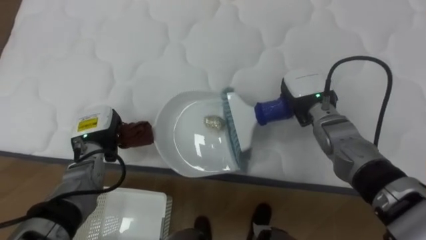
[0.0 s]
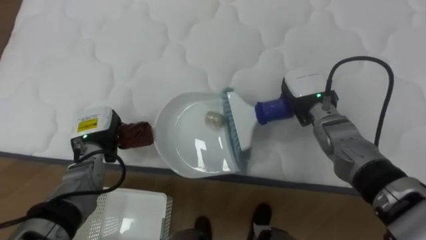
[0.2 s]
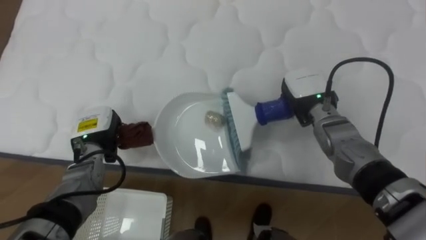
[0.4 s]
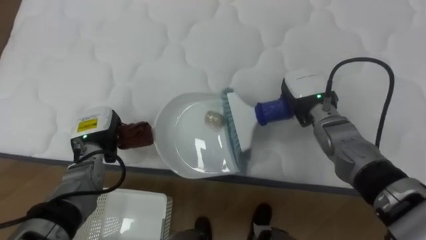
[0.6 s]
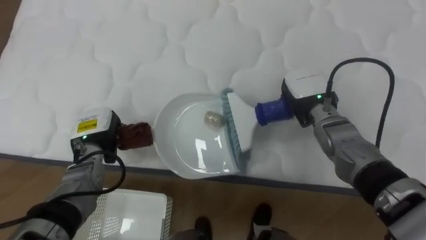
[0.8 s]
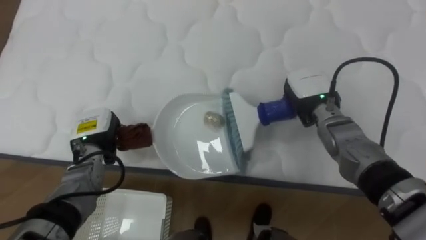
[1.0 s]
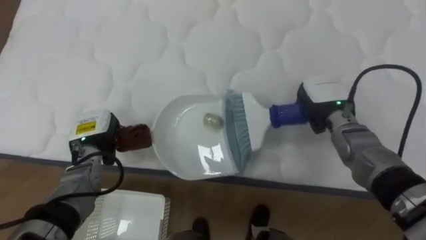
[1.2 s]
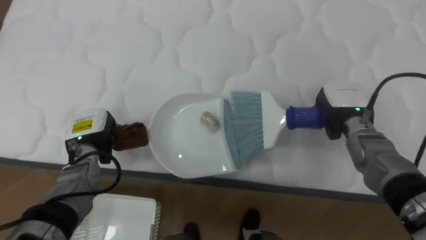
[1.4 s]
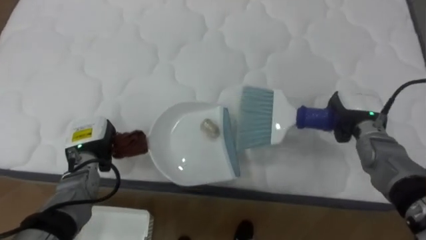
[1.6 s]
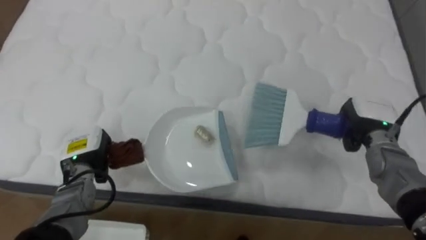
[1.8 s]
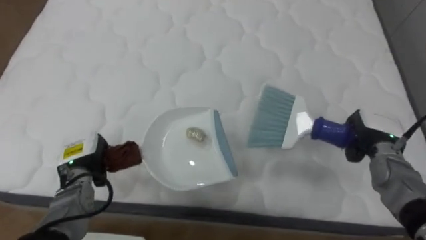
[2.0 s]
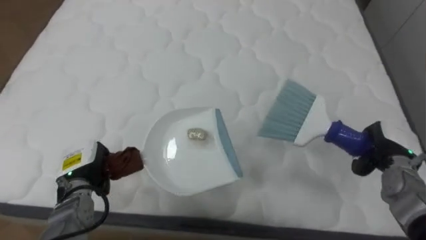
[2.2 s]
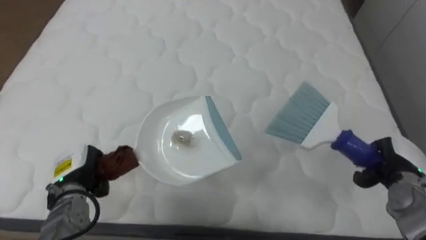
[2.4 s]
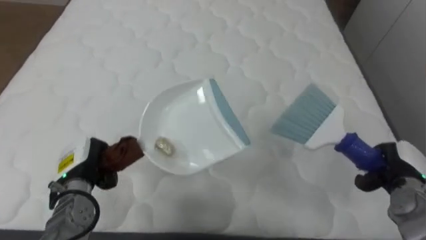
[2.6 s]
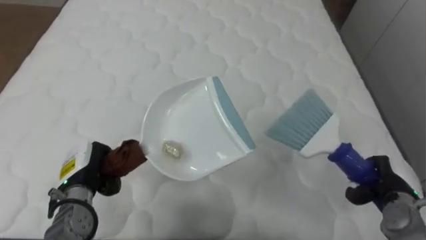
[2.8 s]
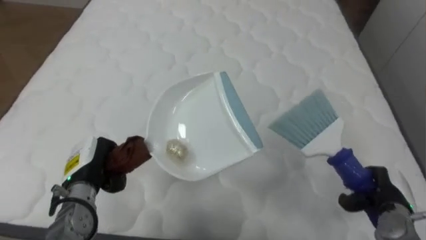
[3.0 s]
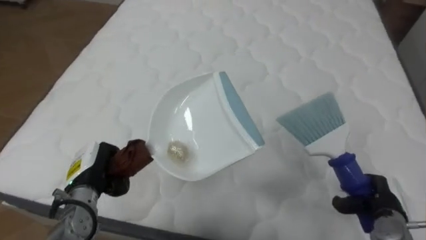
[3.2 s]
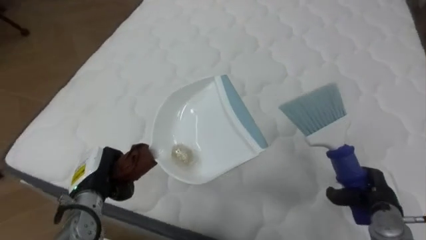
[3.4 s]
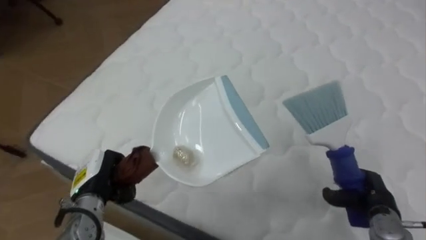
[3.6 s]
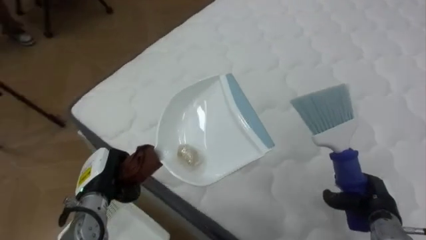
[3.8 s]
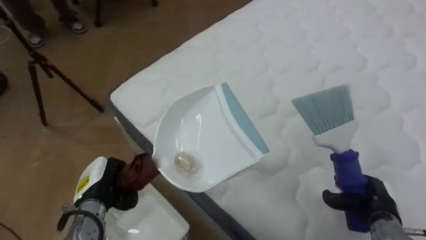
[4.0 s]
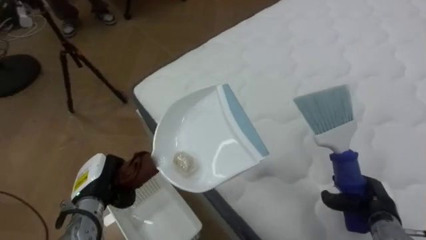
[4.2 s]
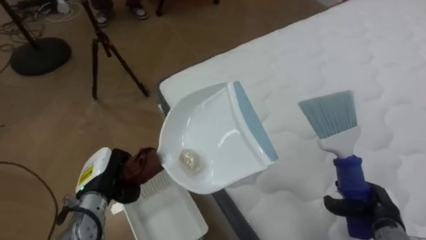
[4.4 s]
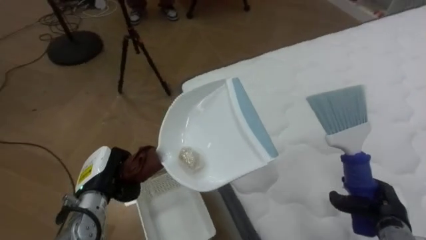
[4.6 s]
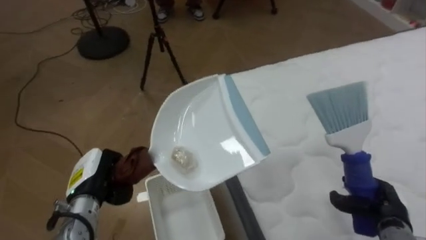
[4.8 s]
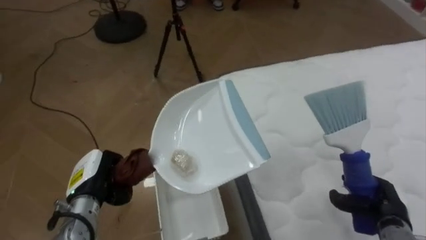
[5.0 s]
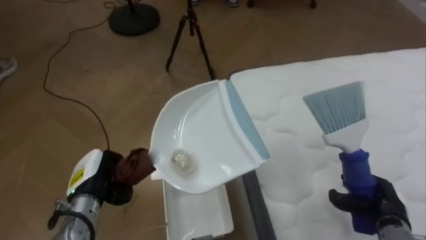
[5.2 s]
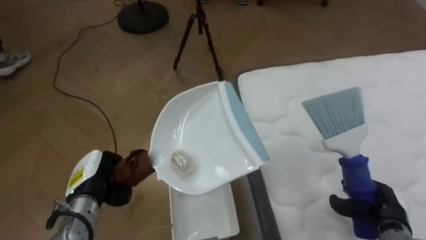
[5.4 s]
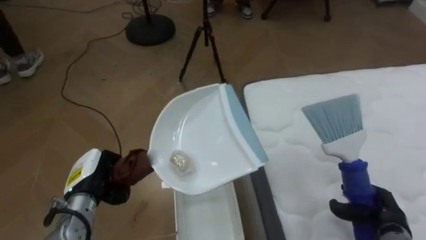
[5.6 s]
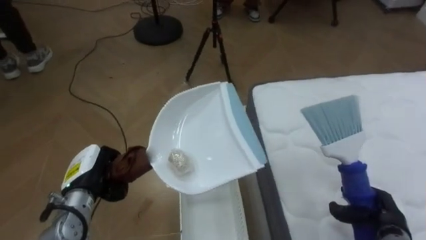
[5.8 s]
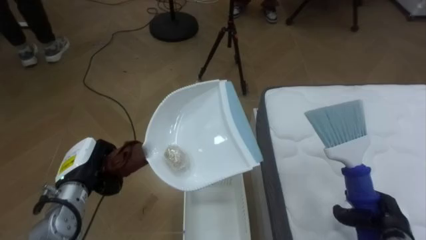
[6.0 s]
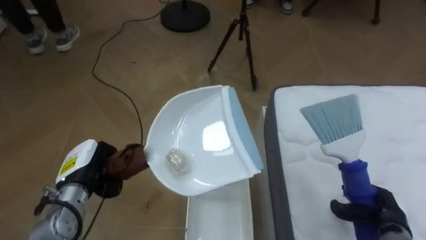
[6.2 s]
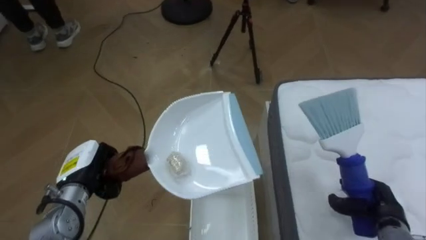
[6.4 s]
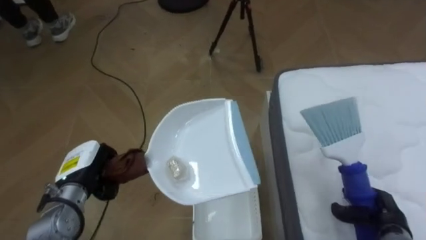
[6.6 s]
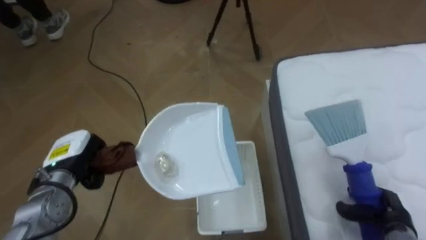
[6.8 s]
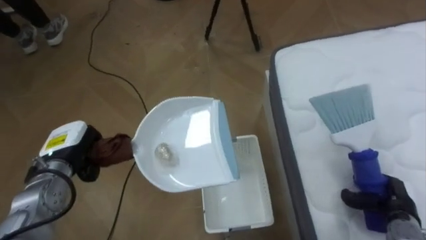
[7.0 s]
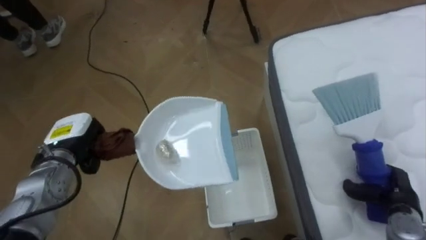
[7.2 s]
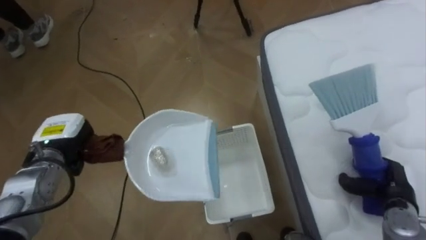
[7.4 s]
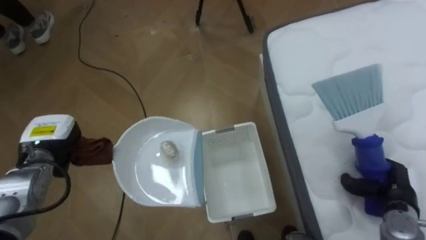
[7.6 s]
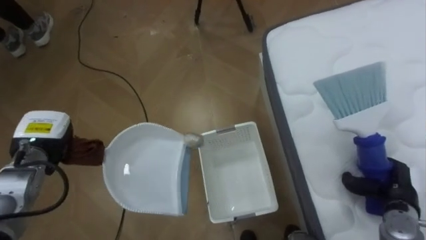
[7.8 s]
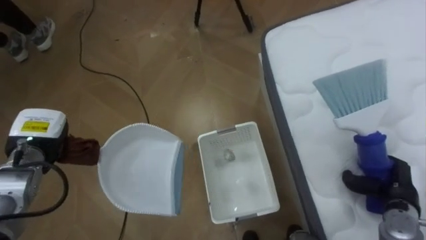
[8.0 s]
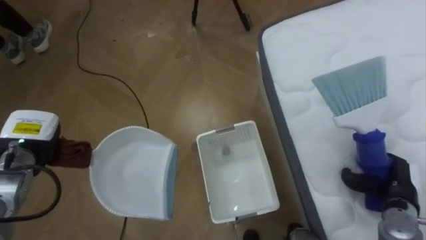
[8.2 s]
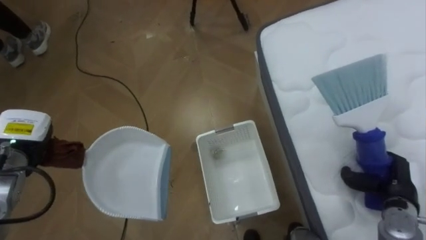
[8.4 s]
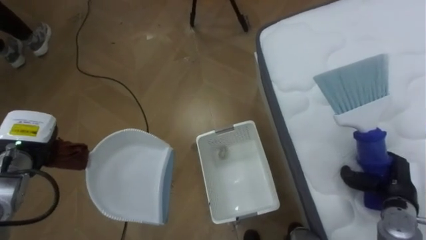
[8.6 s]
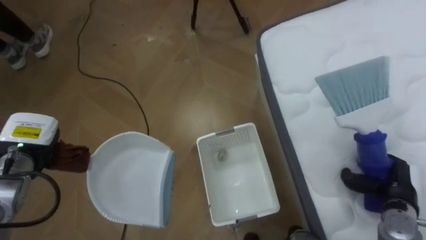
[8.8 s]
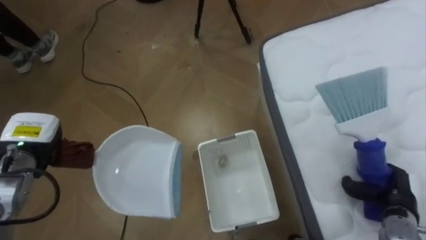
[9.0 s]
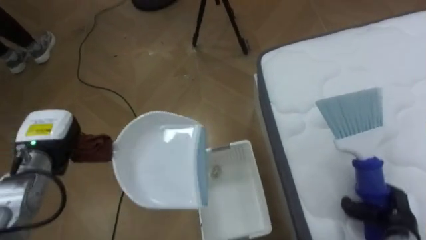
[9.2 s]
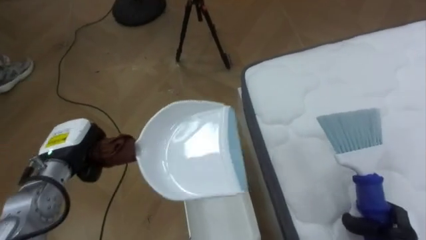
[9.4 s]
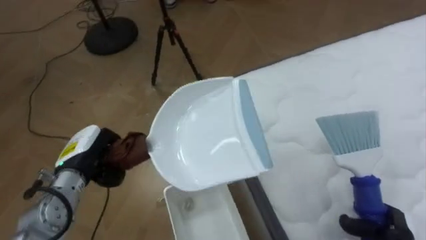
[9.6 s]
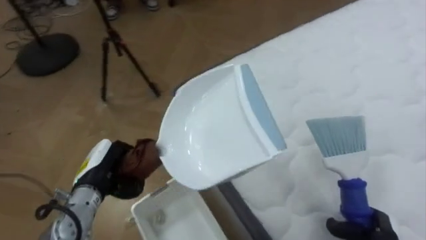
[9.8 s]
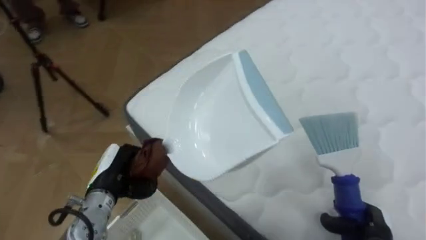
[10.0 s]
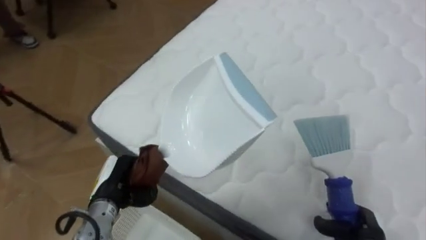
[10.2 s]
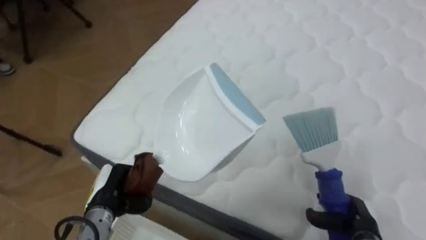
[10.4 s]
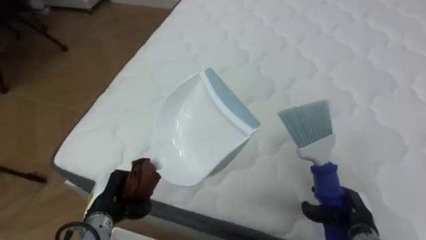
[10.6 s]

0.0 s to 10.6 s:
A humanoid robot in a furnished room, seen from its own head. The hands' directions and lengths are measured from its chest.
Task of the whole recording: Pick up the brush on your right and the dustpan on your left. Use the brush to sweep the crumpled paper on the bed into the dustpan, then turn left and empty it into the basket.
0.0 to 1.6 s: The right hand shifts some 10 cm to the right.
1.6 to 3.0 s: The right hand travels backward, downward and to the right by approximately 20 cm; the left hand heads backward, covering approximately 5 cm.
3.0 to 4.6 s: The robot's body swings about 60 degrees to its left.
4.6 to 6.0 s: The robot's body swings approximately 25 degrees to its left.
6.0 to 7.6 s: The left hand heads to the left, covering approximately 5 cm. Meanwhile the right hand ends up some 5 cm from where it was.
9.0 to 10.6 s: The robot turns to its right by some 65 degrees. The left hand heads to the right, downward and backward, covering approximately 20 cm.

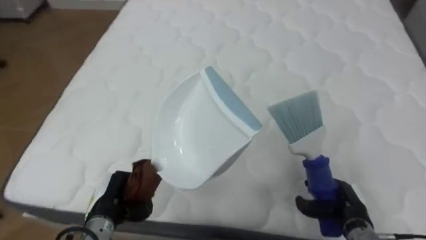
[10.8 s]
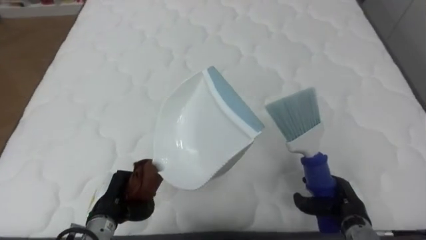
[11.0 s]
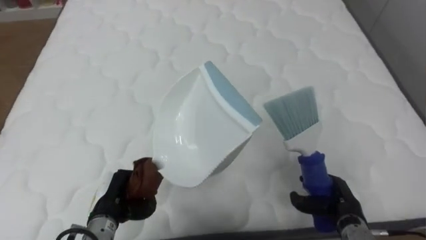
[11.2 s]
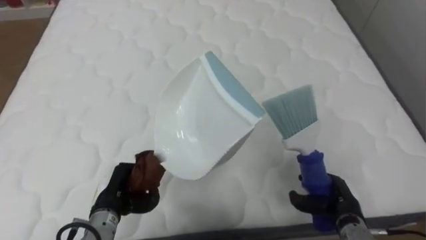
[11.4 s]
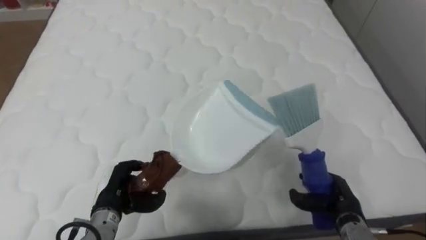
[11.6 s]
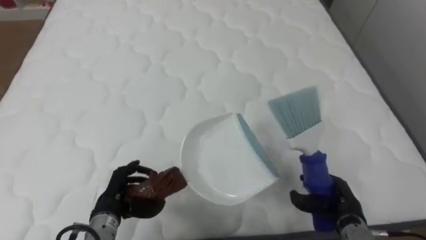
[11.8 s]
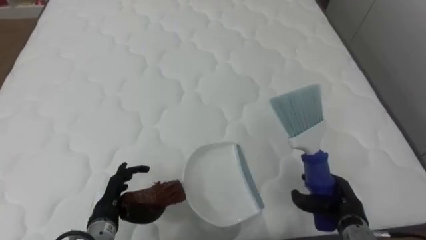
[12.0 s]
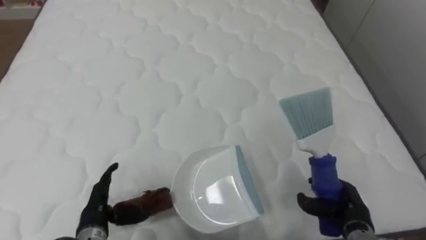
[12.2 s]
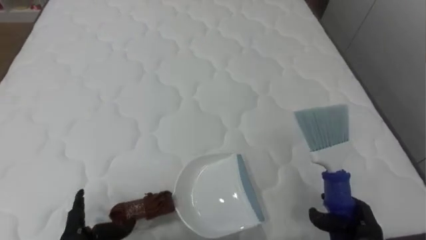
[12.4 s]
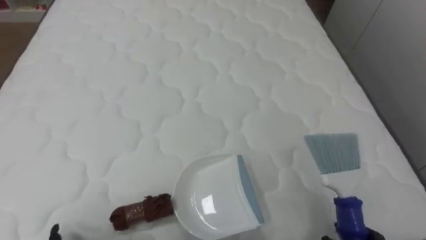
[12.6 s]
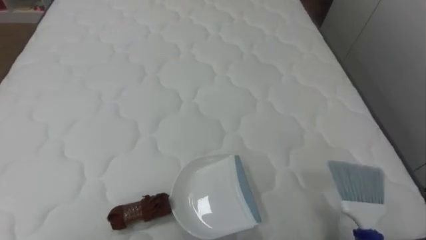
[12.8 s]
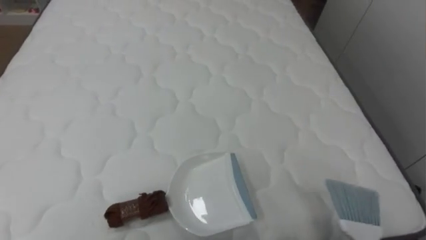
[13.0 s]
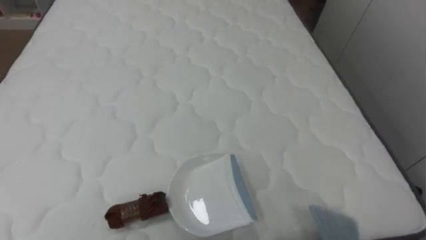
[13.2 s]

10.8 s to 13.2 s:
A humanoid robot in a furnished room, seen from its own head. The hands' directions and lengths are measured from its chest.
Task of the whole recording: Pick up the brush on your right and the dustpan on your left. Use the brush to sweep the crumpled paper on the bed into the dustpan, then turn left and empty it into the basket.
10.8 to 12.0 s: The left hand opens.

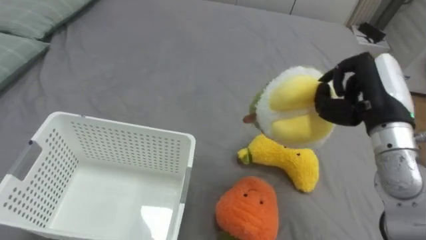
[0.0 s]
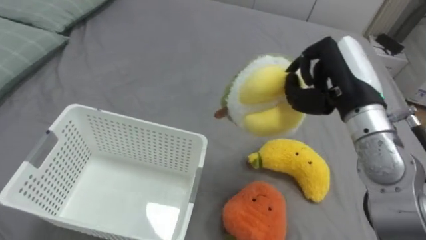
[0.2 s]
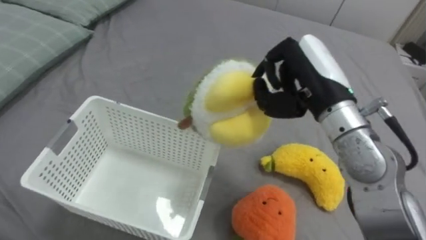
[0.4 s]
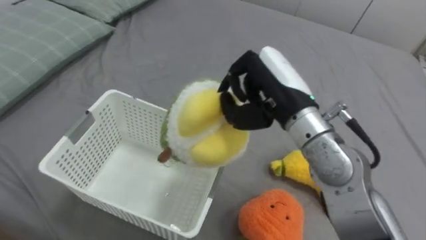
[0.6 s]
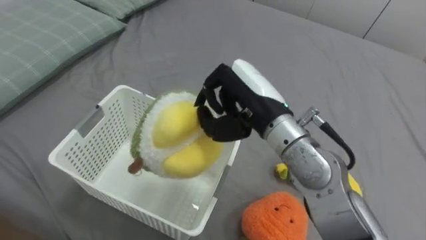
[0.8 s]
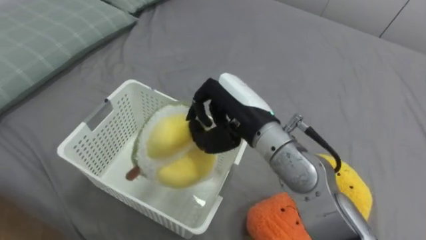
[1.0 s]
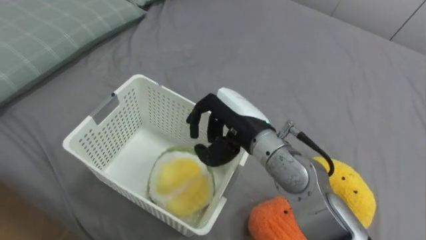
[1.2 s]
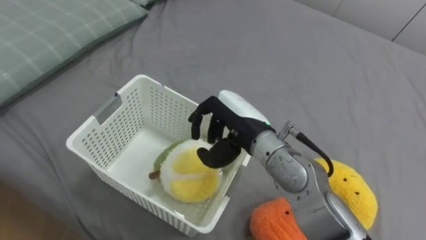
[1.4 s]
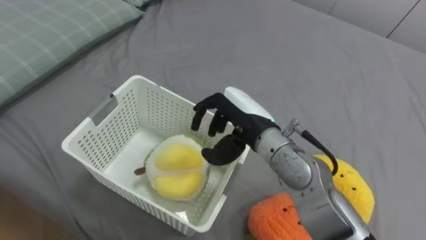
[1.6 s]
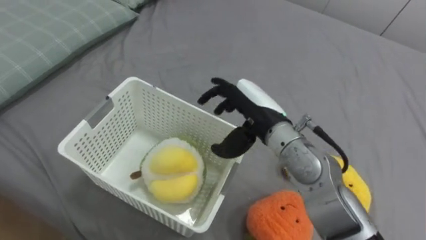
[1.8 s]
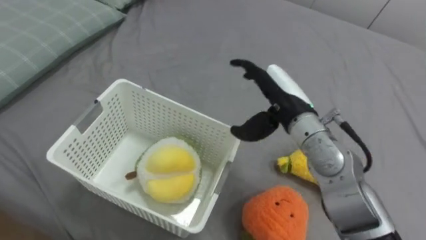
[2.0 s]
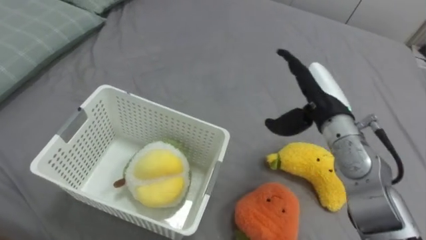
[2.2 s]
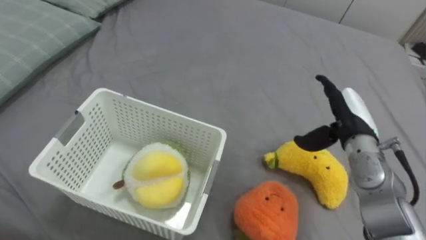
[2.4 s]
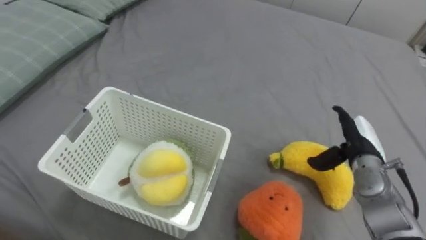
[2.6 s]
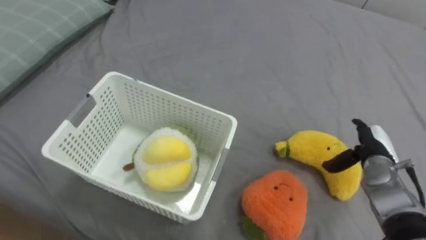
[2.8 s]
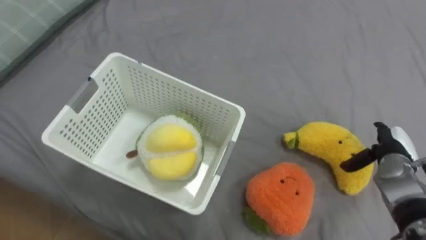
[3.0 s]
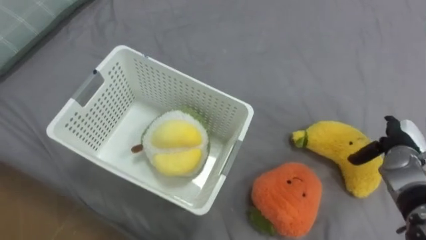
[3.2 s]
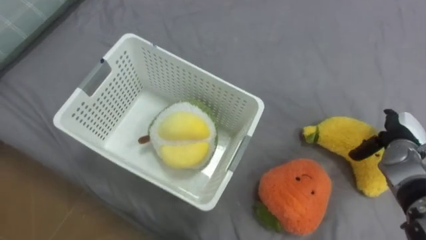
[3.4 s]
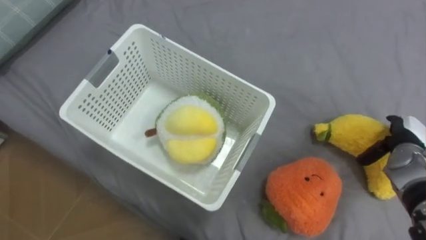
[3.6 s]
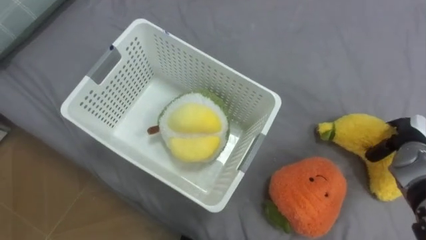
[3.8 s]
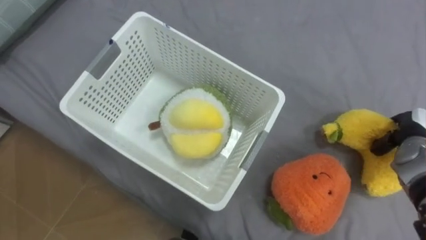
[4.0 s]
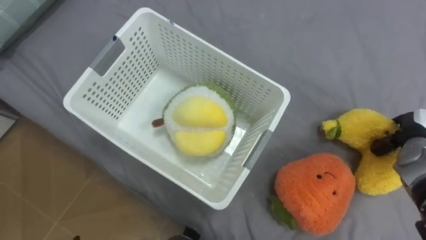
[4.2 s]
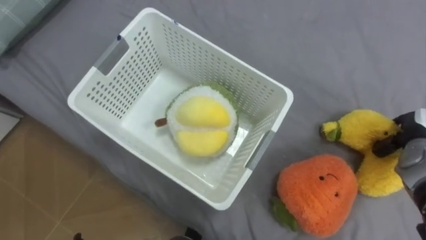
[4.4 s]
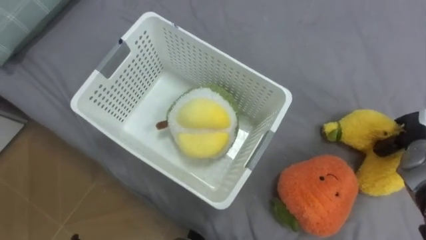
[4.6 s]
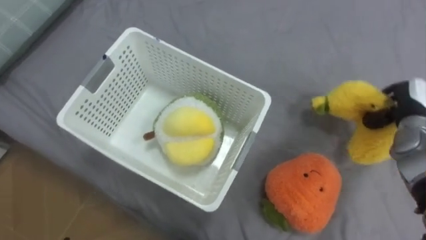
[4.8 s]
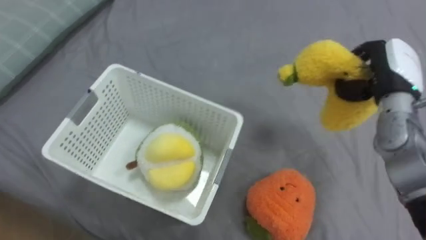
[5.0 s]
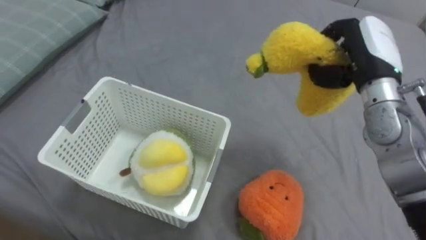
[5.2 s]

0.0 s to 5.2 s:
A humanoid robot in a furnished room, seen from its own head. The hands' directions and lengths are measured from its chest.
Task of the whole recording: Put the toys on the bed into the basket on the left.
0.0 to 1.8 s: The right hand shifts roughly 20 cm to the left, and opens up.
1.8 to 3.4 s: The right hand travels to the right by approximately 30 cm.
3.4 to 5.2 s: The right hand shifts roughly 20 cm upward and to the left, and closes its fingers.
